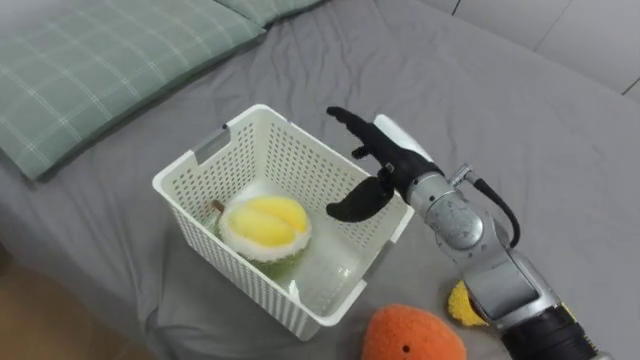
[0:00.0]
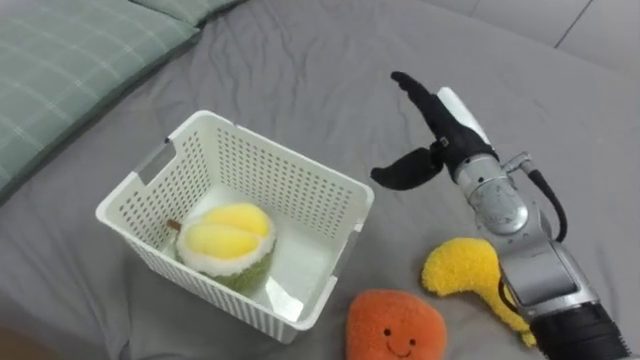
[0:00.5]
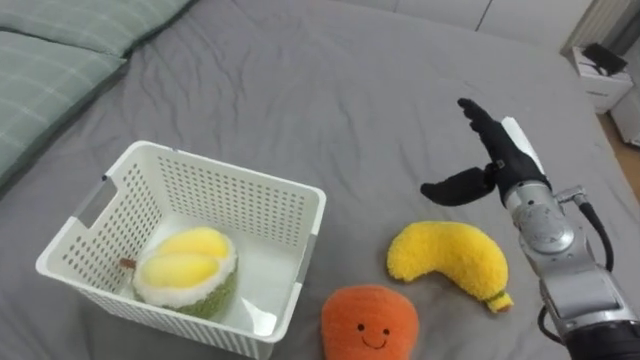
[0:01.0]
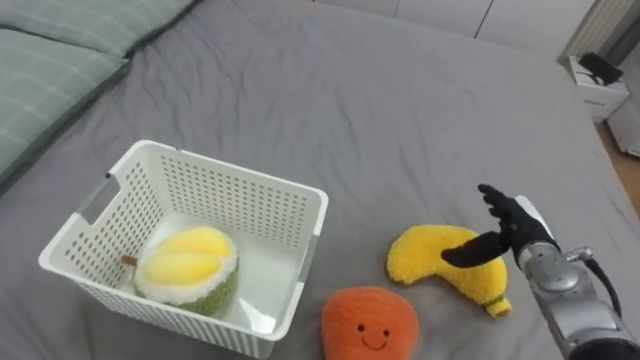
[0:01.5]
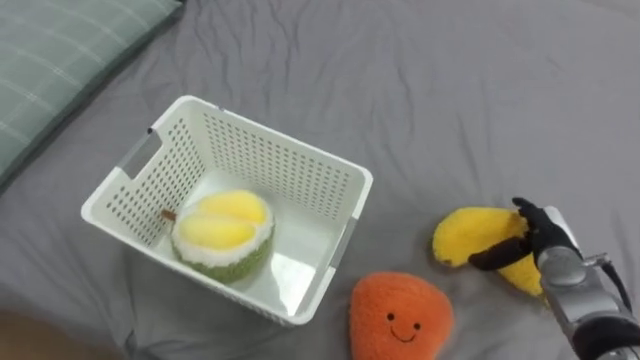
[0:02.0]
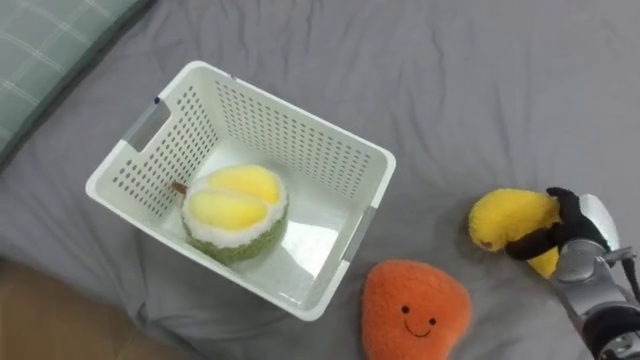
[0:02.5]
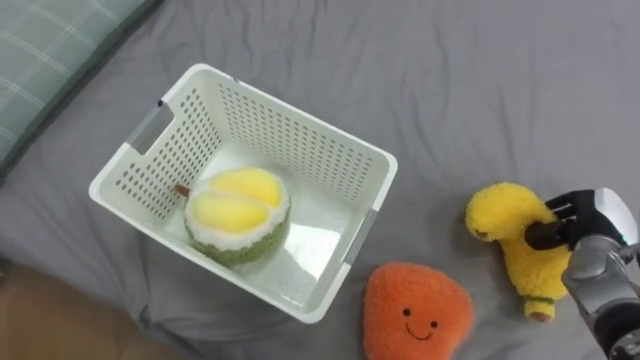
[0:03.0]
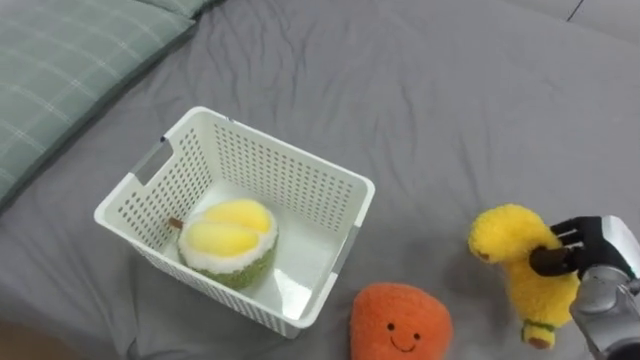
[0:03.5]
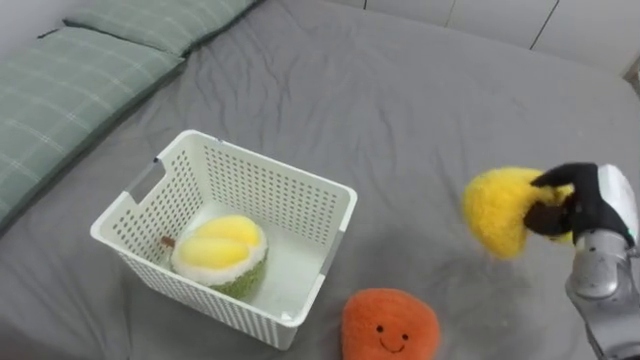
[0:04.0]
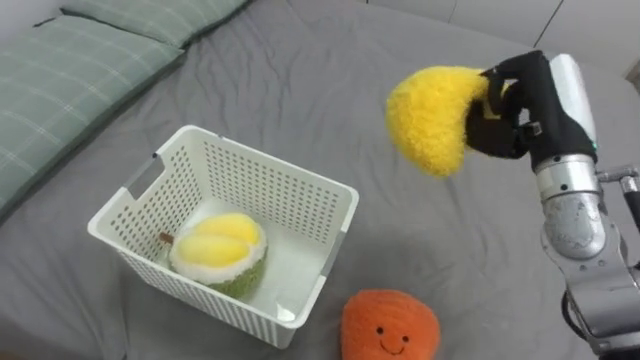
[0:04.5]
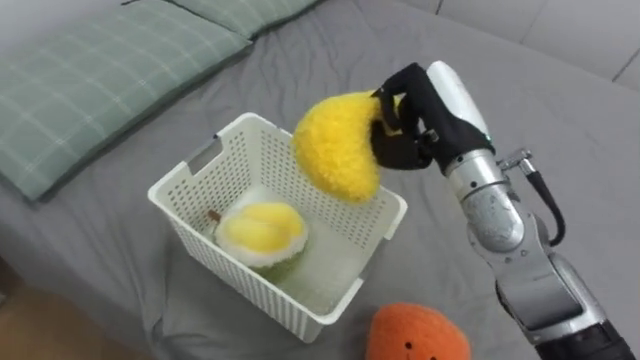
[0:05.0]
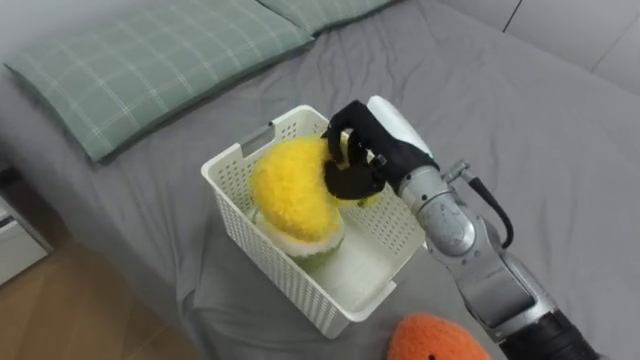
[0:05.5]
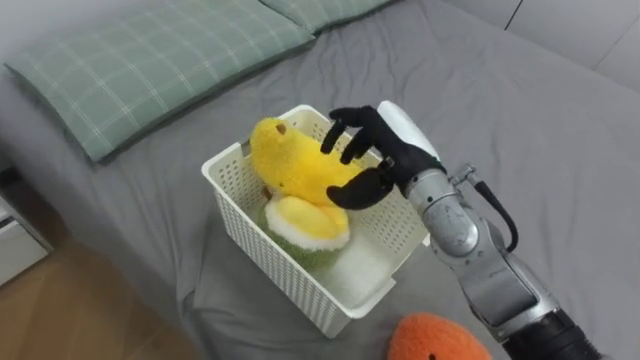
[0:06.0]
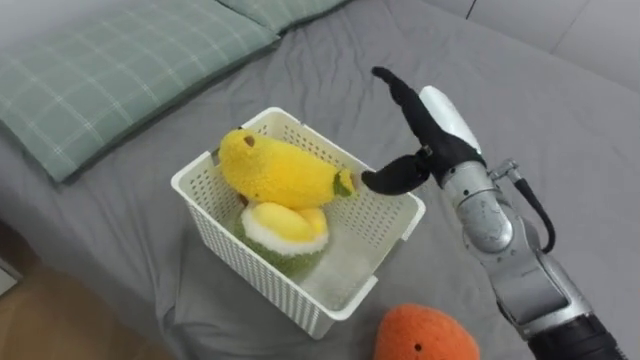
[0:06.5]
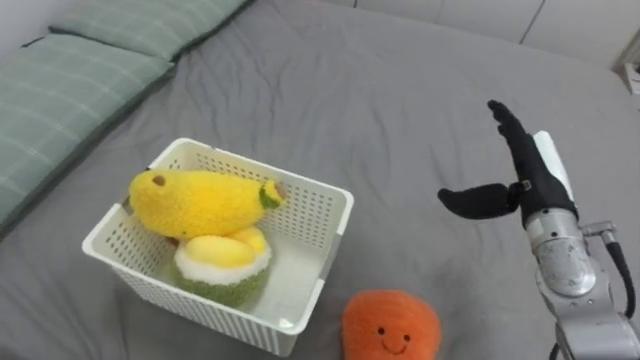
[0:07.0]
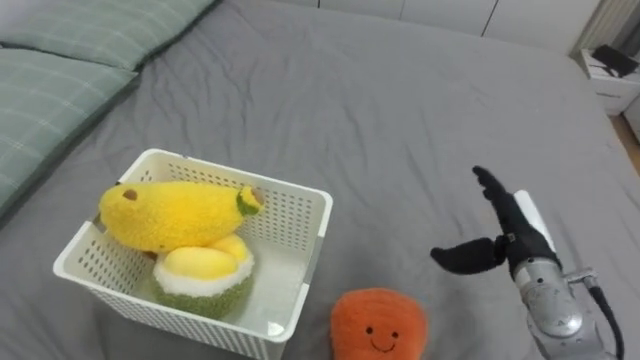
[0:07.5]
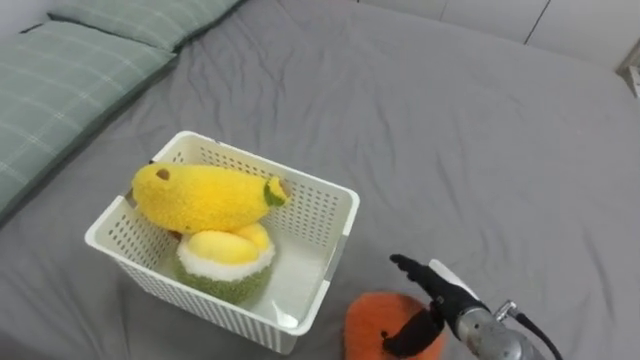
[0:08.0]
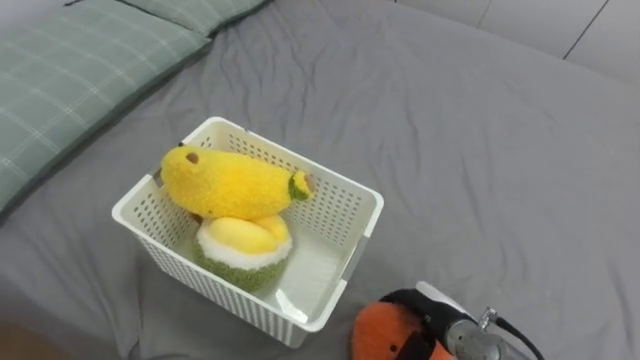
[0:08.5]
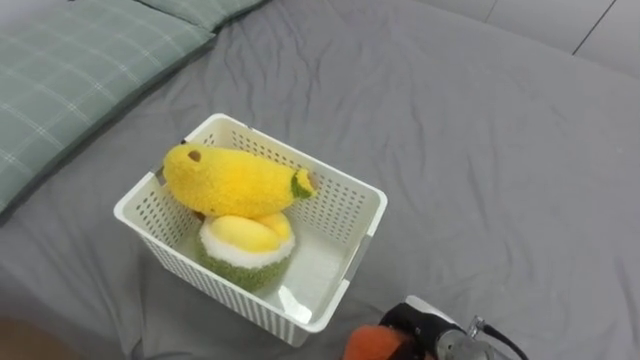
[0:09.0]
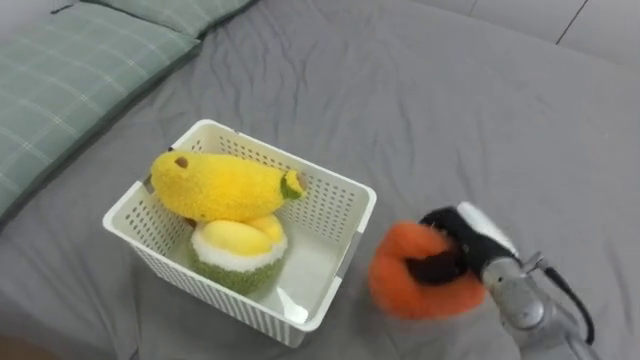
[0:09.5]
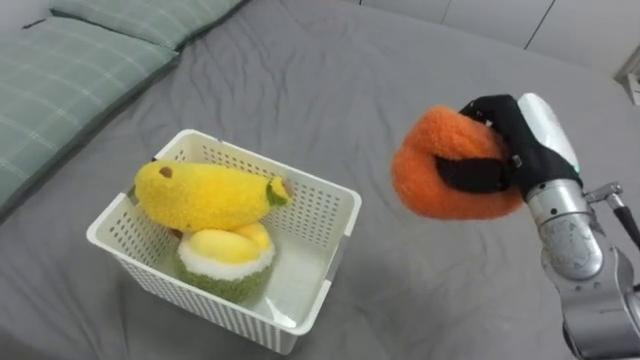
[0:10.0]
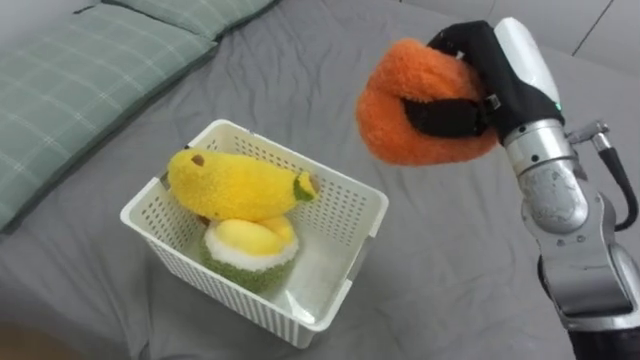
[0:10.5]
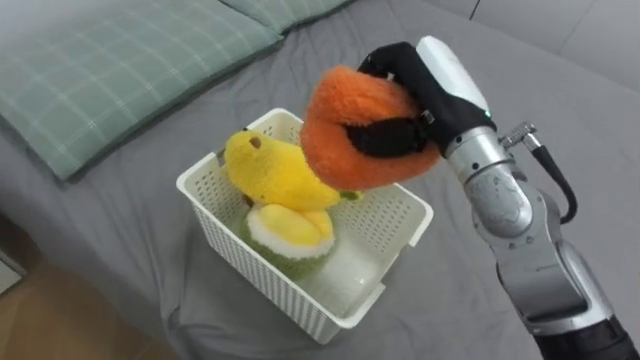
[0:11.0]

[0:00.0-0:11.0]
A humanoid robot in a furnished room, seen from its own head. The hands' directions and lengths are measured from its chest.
Task of the whole recording: Put the toys on the bed into the basket on the left.
0:00.0 to 0:02.0: The right hand shifts some 25 cm to the right and downward.
0:02.0 to 0:03.5: The right hand moves to the right, approximately 5 cm, and closes up.
0:03.5 to 0:05.5: The right hand travels to the left and upward by about 35 cm.
0:05.5 to 0:07.5: The right hand travels to the right and downward by roughly 20 cm, and opens up.
0:07.5 to 0:09.0: The right hand travels downward, to the left and backward by approximately 20 cm, and closes up.
0:09.0 to 0:11.0: The right hand travels upward and forward by some 35 cm.

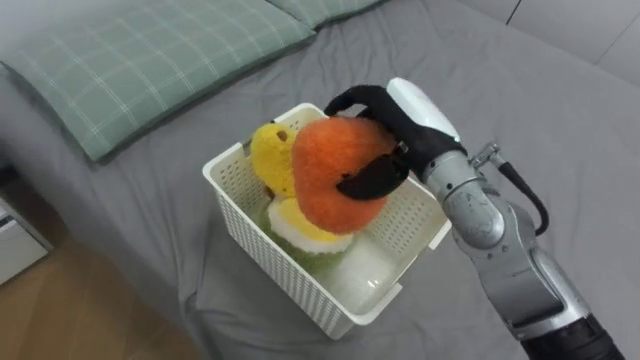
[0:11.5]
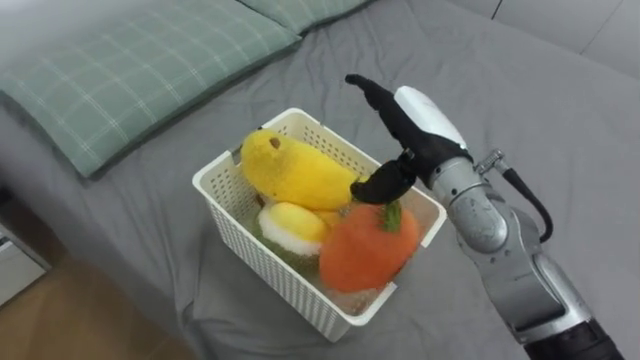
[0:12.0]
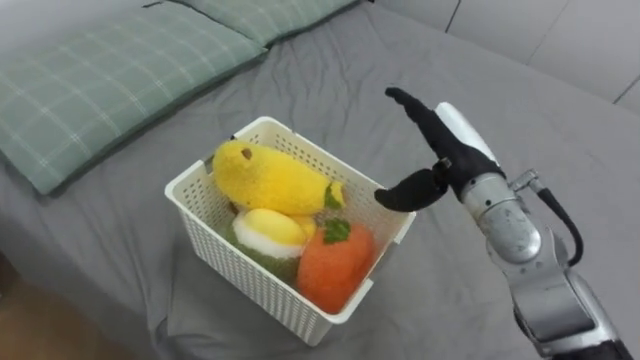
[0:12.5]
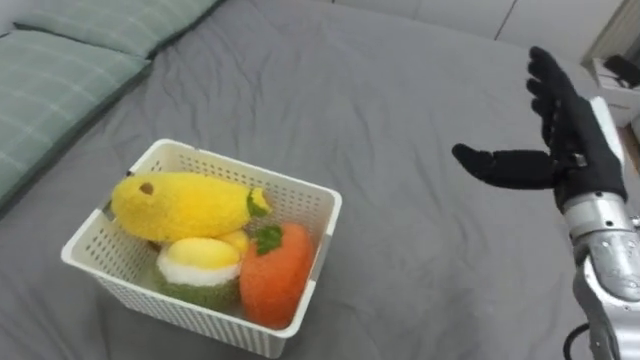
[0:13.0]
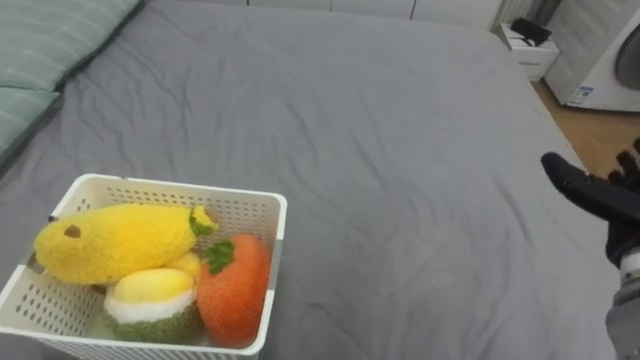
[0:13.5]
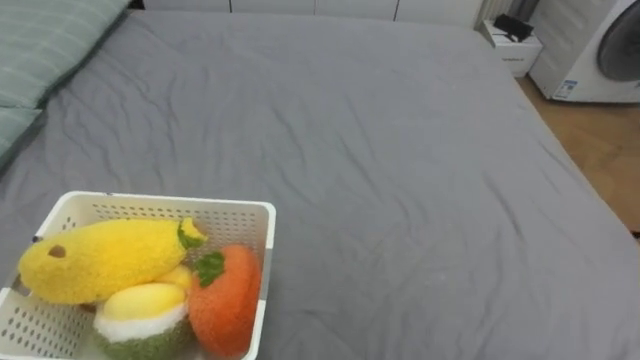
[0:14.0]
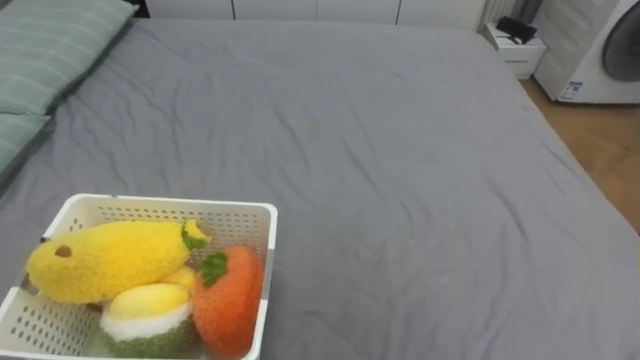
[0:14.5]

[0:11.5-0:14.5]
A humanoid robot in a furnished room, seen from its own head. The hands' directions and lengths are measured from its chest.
Task of the whole recording: Put the toys on the bed into the basket on the left.
0:11.5 to 0:13.0: The right hand heads to the right, covering about 15 cm.
